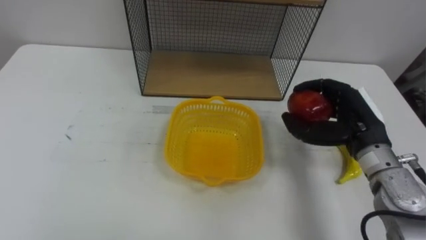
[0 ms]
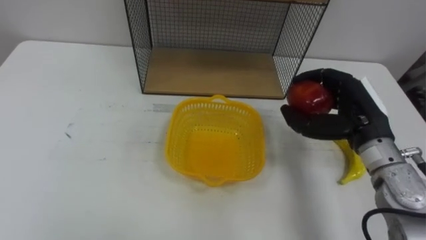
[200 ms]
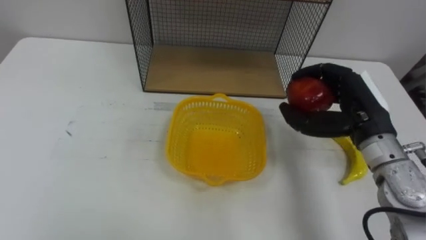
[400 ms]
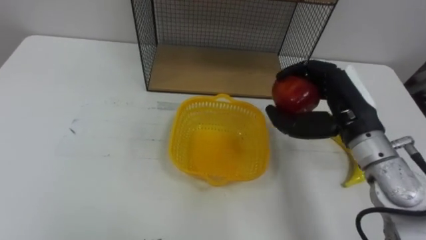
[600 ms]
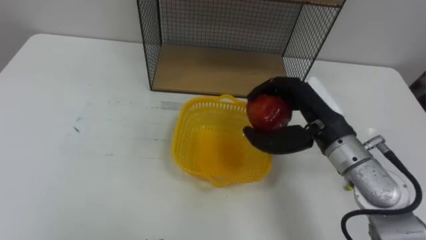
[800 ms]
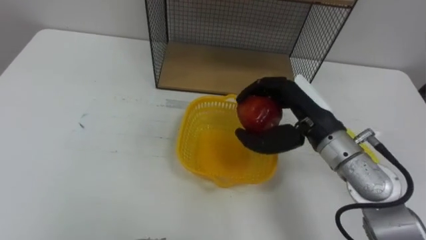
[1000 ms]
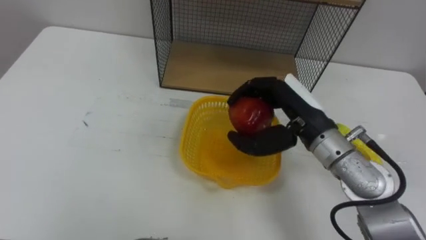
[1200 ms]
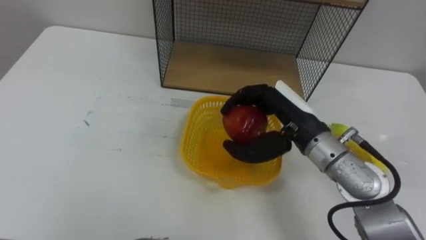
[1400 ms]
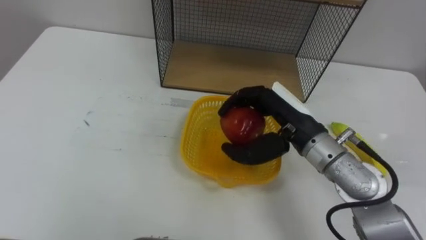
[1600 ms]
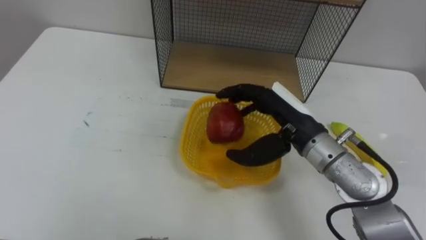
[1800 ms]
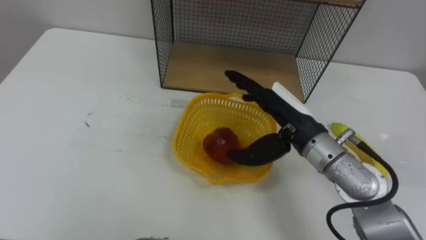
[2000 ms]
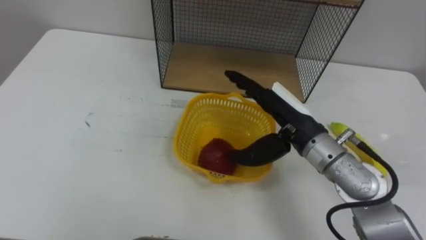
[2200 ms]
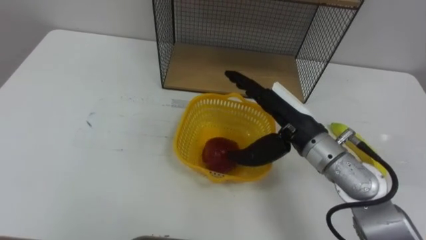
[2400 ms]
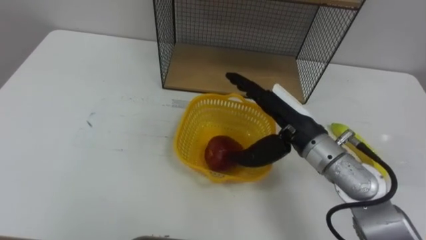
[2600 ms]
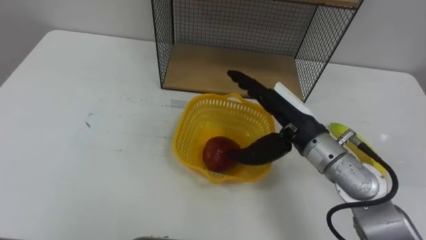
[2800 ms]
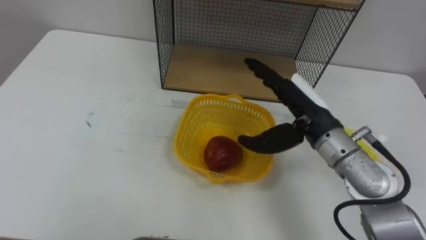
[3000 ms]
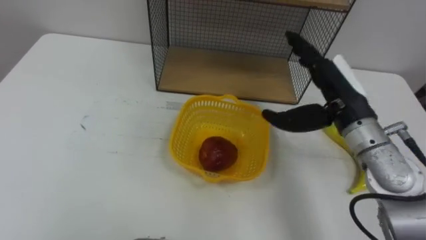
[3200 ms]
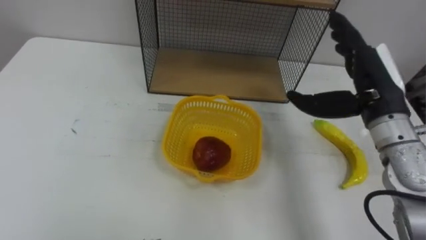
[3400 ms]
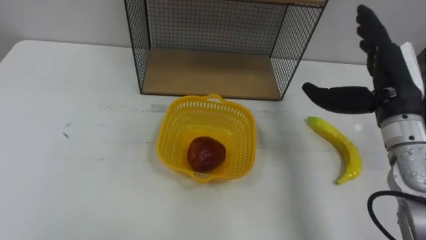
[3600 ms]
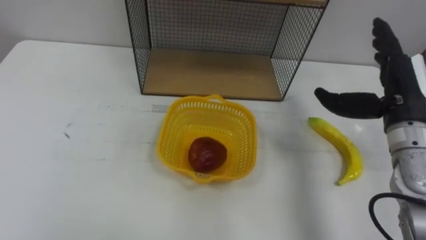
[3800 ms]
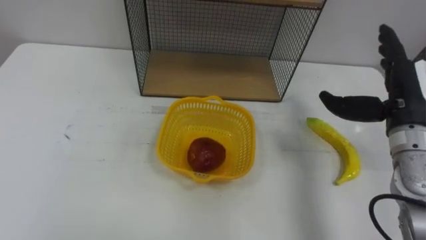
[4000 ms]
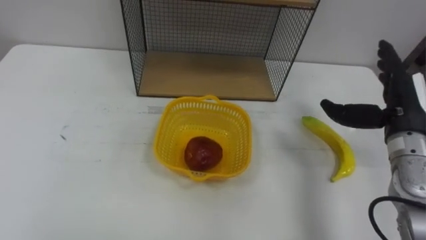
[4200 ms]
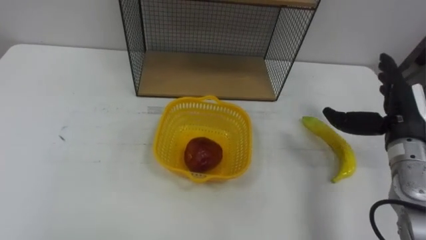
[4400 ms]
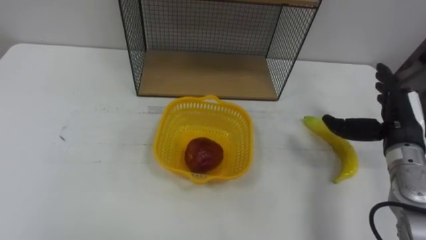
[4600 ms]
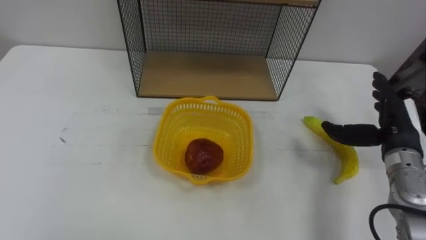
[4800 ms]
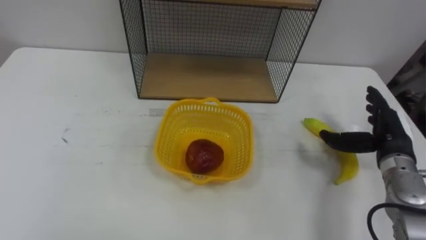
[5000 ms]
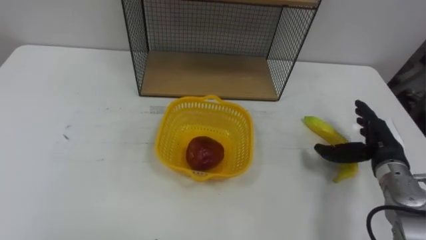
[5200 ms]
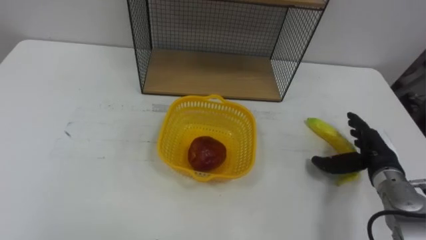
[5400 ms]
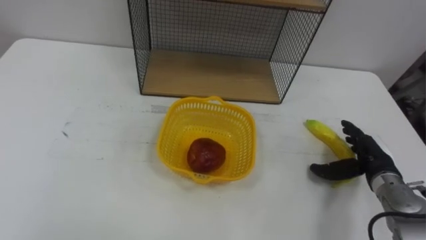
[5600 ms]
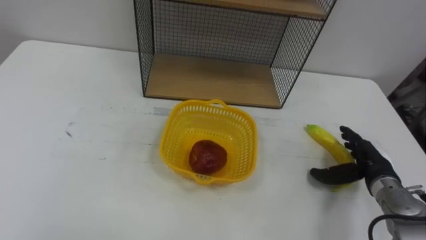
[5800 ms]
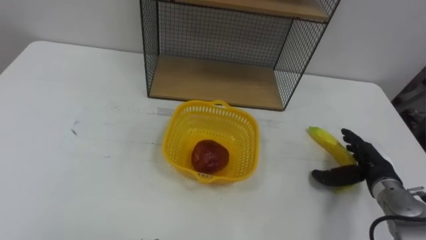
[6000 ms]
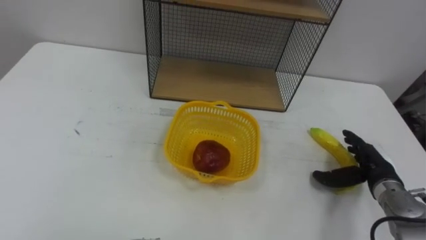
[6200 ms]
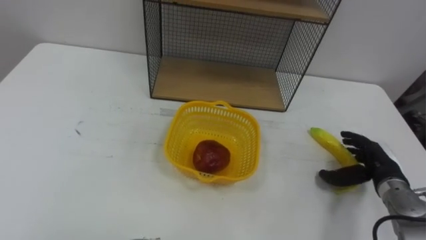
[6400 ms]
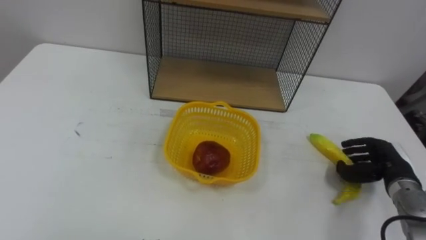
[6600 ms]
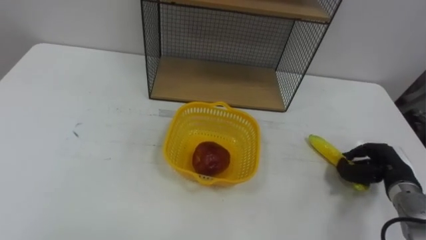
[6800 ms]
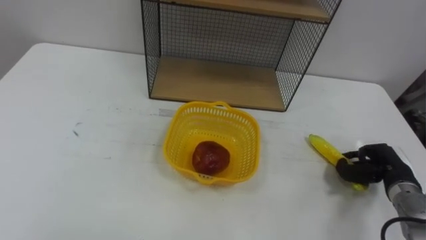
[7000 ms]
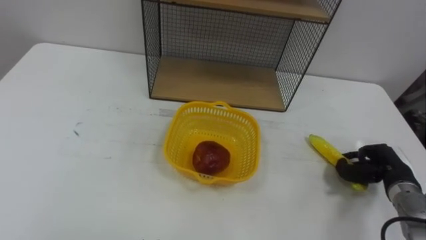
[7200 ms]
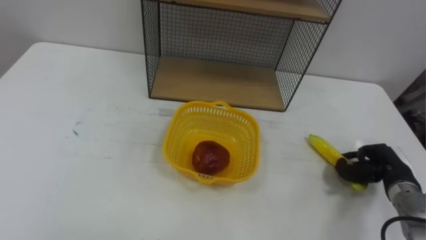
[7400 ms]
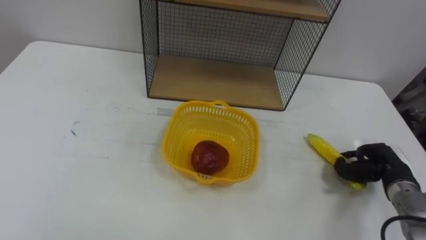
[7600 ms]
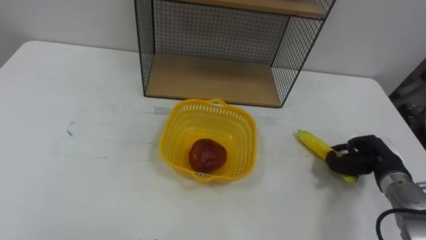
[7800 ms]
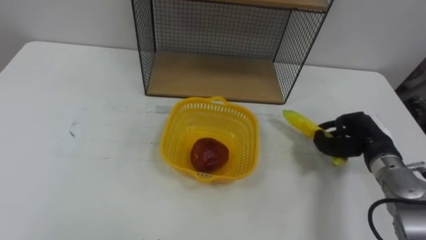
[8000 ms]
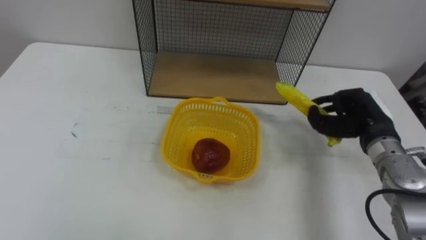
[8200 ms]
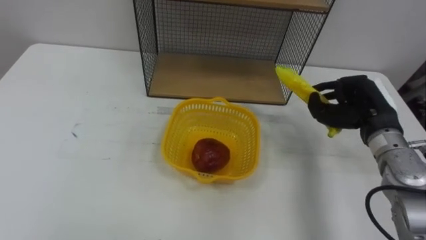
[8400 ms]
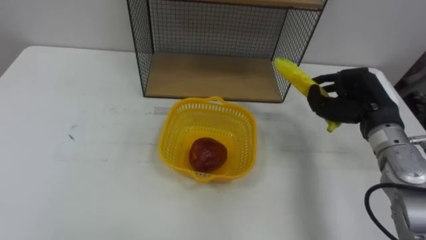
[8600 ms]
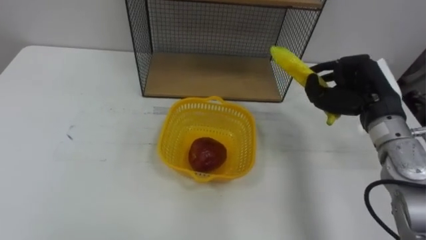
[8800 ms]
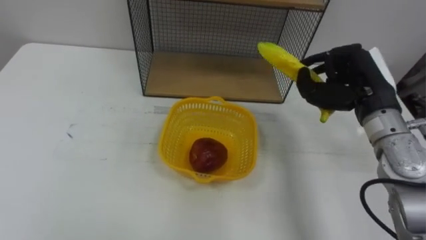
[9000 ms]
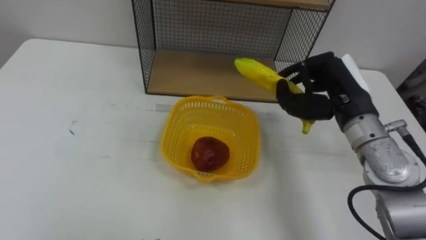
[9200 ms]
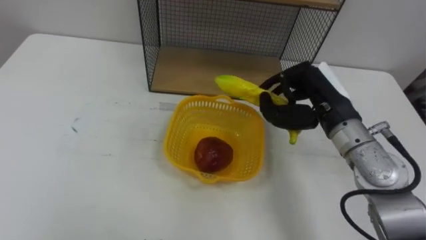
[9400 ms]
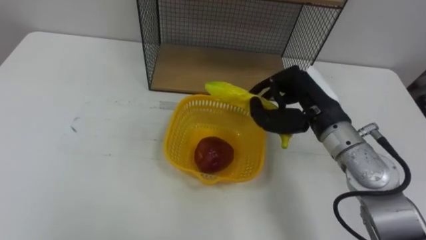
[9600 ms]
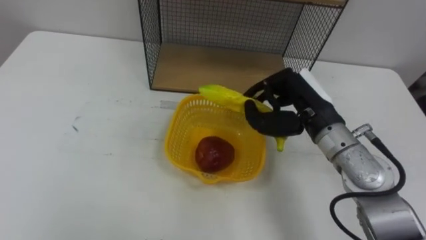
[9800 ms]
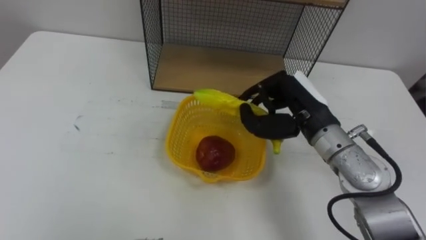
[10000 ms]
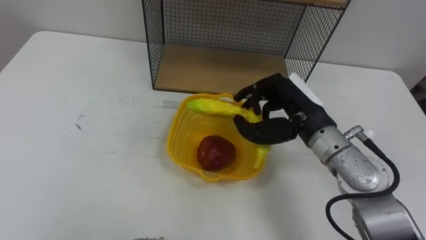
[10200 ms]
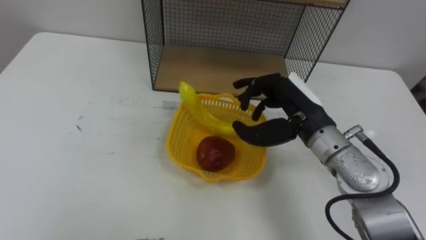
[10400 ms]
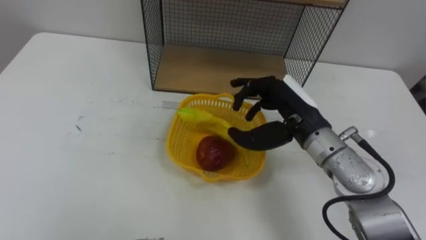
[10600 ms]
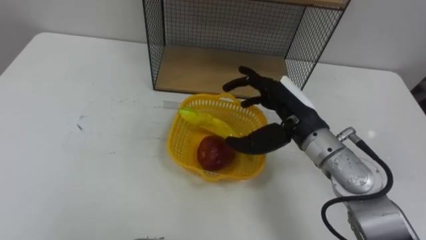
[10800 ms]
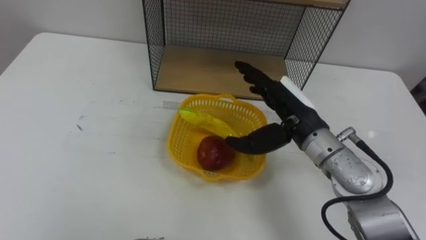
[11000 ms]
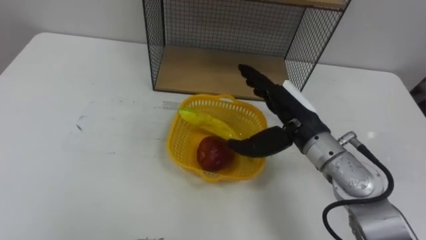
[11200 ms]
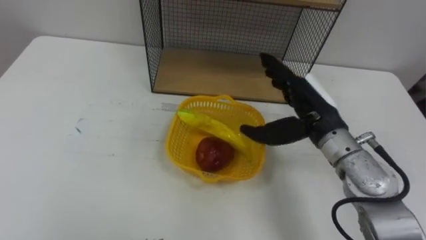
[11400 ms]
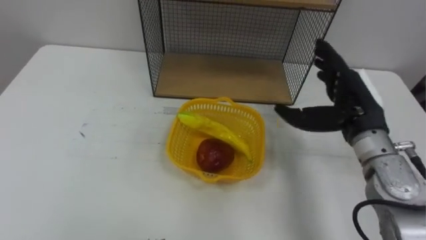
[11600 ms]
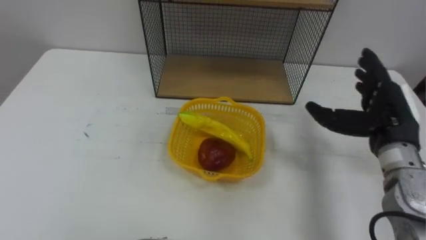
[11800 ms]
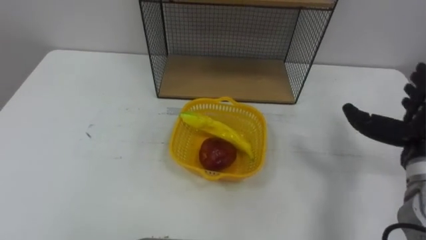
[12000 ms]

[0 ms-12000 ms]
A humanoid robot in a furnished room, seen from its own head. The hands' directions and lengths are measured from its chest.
Task of the whole recording: Put the fruit on the table into the basket, then place the basket on the shelf.
0 ms to 1600 ms: The right hand travels to the left by roughly 10 cm.
1600 ms to 3000 ms: The right hand opens.
3000 ms to 4400 ms: The right hand goes some 15 cm to the right.
4400 ms to 6000 ms: The right hand heads downward, covering approximately 15 cm.
6000 ms to 7600 ms: The right hand closes up.
7600 ms to 9000 ms: The right hand heads upward and to the left, covering about 20 cm.
9000 ms to 10400 ms: The right hand heads to the left, covering approximately 10 cm.
10400 ms to 12000 ms: The right hand is displaced to the right by about 20 cm, and opens up.

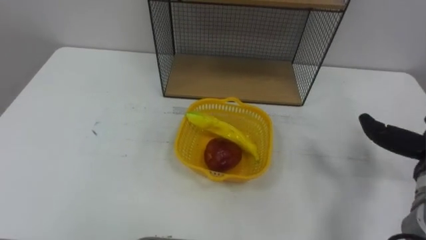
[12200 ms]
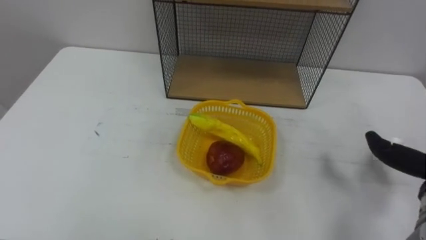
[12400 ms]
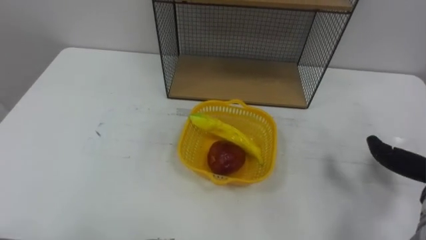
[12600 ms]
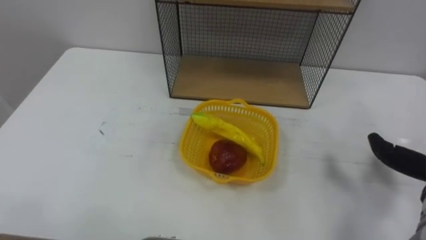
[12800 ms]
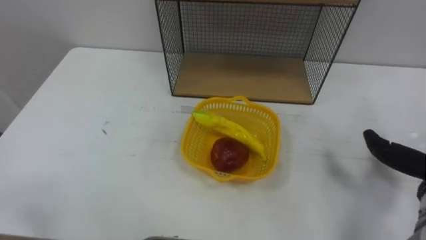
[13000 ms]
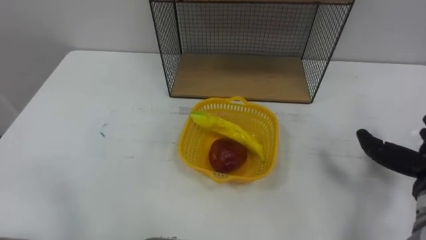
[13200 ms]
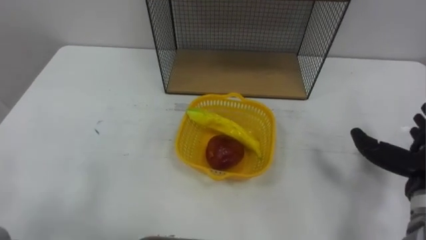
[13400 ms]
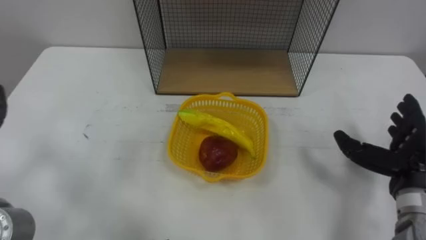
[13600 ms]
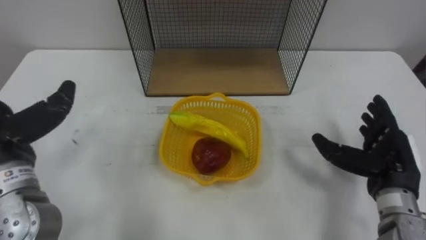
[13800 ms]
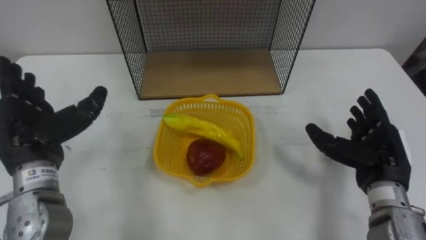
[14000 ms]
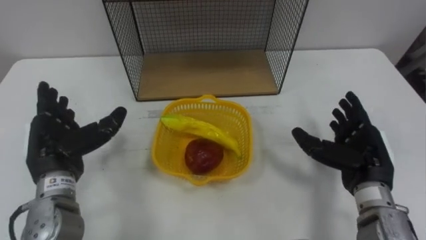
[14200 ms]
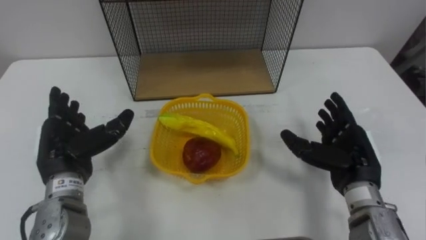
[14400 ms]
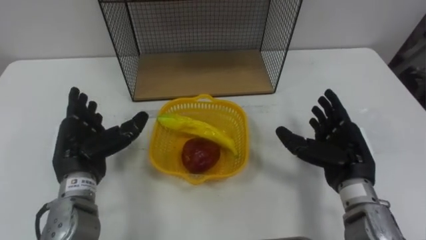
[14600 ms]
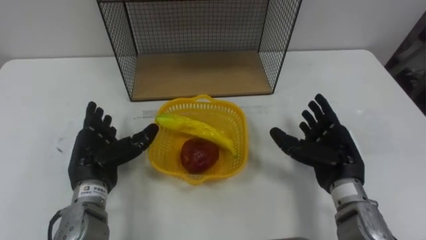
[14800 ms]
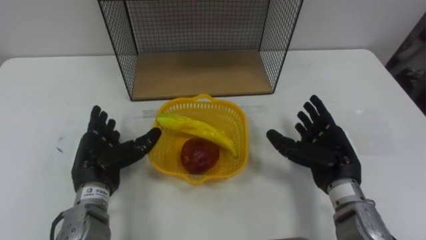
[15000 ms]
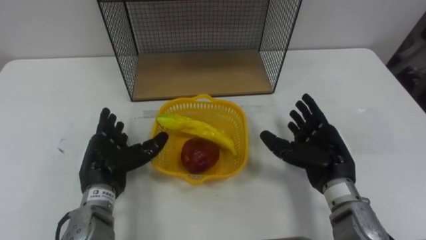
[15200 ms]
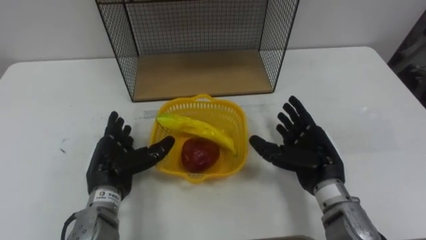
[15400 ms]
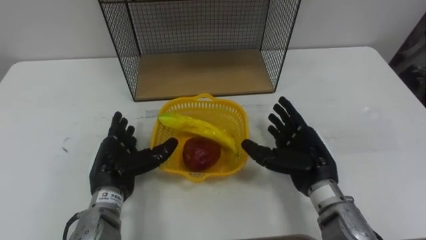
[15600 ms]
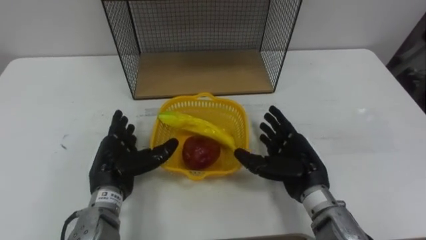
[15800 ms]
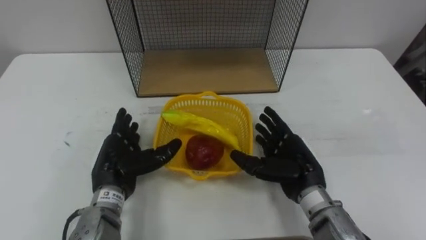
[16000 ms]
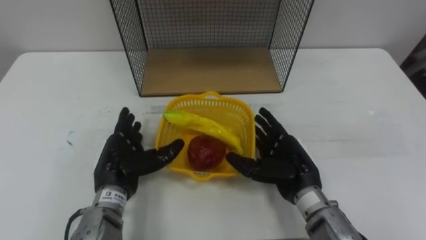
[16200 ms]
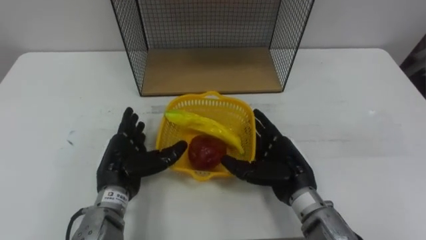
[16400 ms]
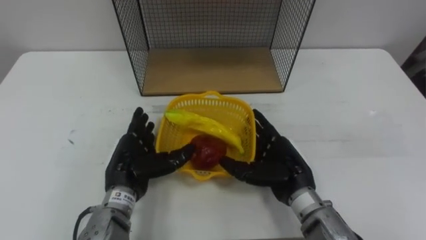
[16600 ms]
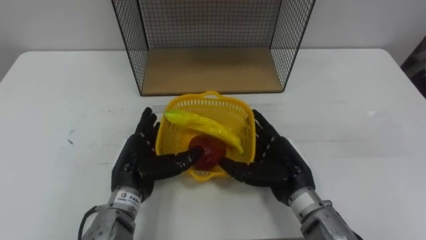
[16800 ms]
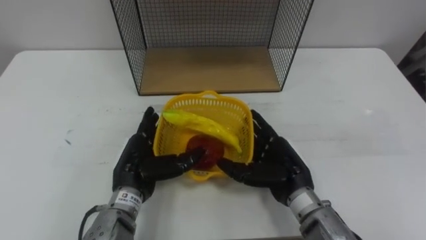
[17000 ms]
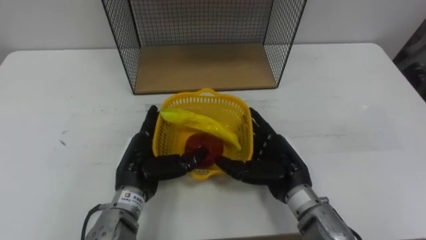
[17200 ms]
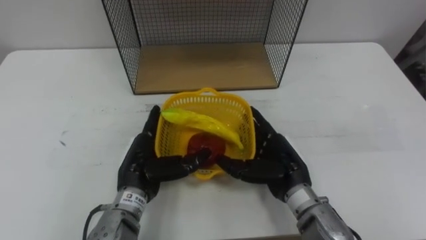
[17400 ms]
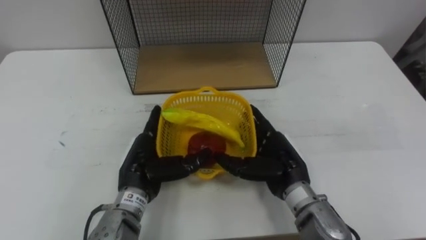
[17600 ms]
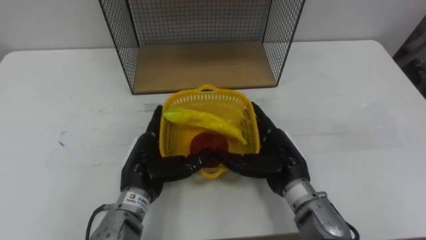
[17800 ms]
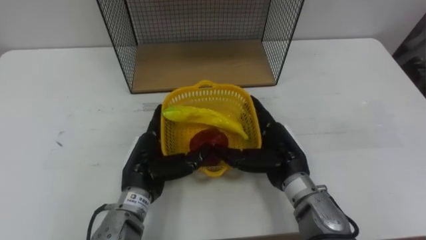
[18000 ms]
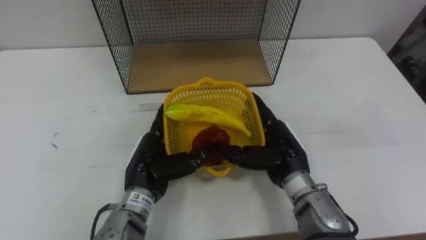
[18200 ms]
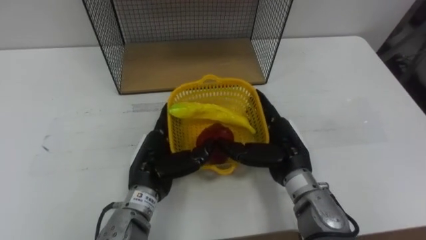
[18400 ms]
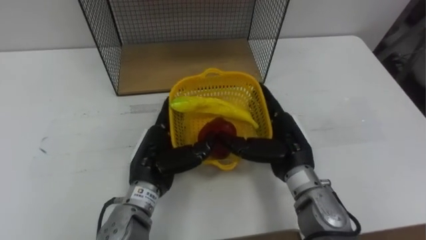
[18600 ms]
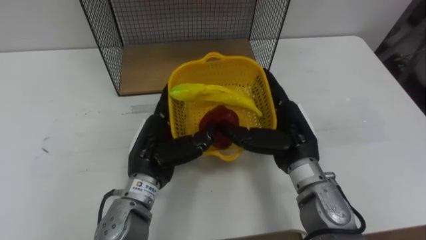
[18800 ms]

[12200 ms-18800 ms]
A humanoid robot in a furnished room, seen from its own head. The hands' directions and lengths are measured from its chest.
Task of the whole recording: Put the fruit on the table into the basket, then place the basket on the shelf.
13800 ms to 15400 ms: The right hand shifts approximately 10 cm to the left.
15400 ms to 17200 ms: The left hand shifts roughly 5 cm to the right, while the right hand heads to the left, covering approximately 5 cm.
17200 ms to 18800 ms: The right hand travels upward by roughly 5 cm; the left hand ends up roughly 5 cm from where it was.
